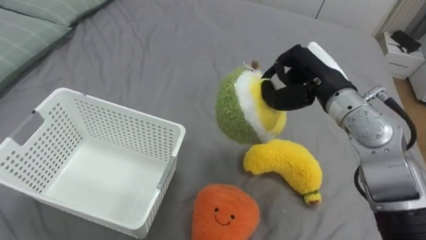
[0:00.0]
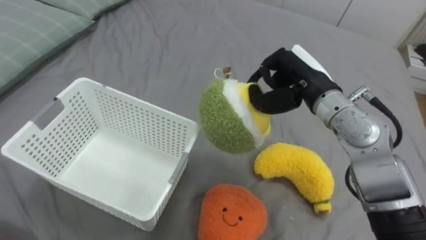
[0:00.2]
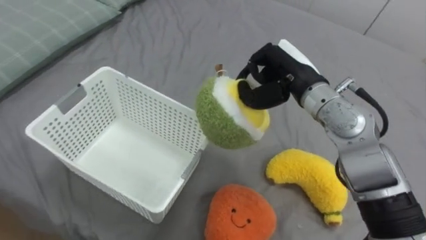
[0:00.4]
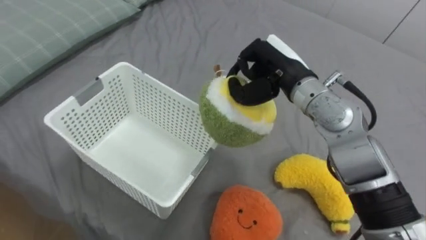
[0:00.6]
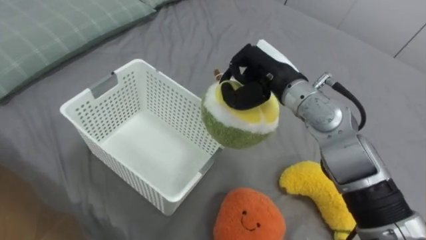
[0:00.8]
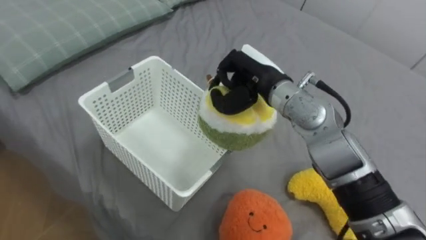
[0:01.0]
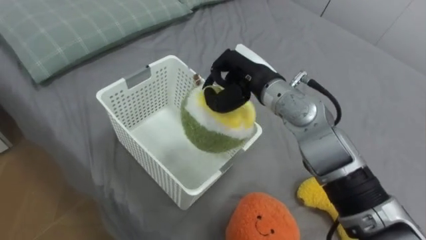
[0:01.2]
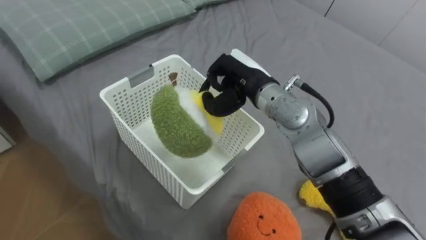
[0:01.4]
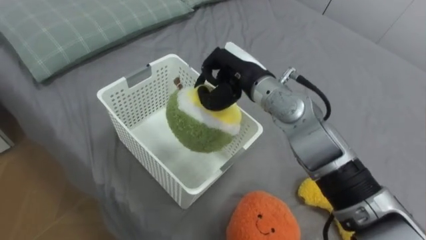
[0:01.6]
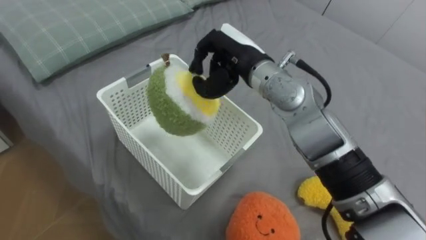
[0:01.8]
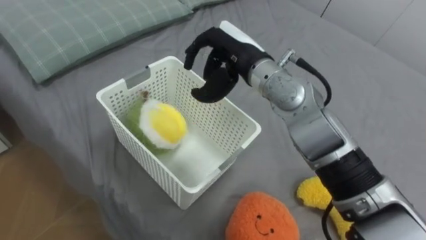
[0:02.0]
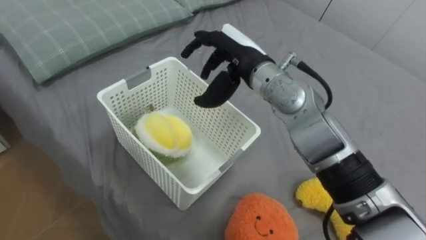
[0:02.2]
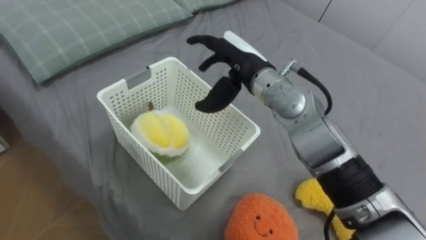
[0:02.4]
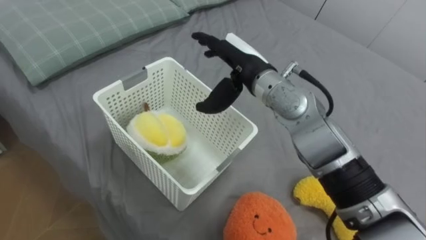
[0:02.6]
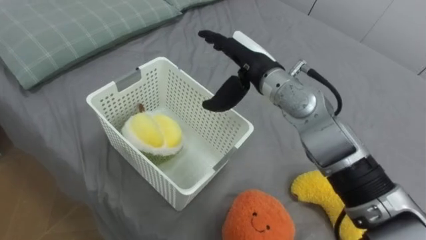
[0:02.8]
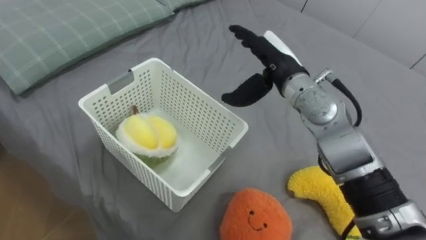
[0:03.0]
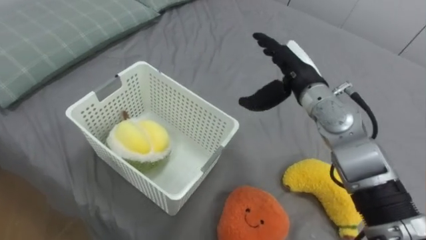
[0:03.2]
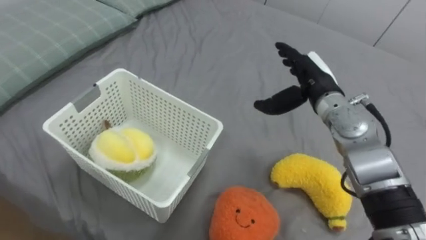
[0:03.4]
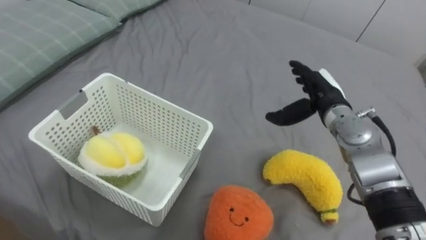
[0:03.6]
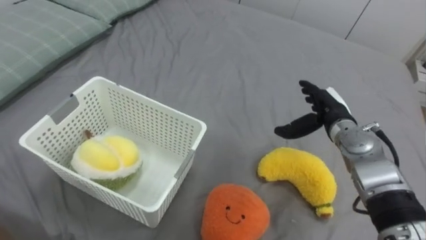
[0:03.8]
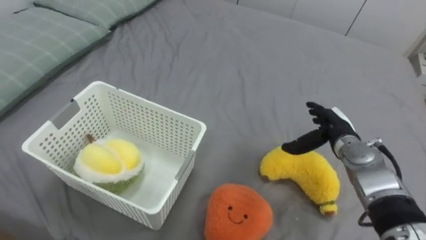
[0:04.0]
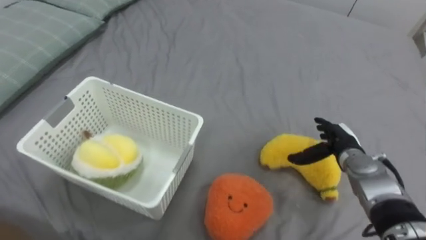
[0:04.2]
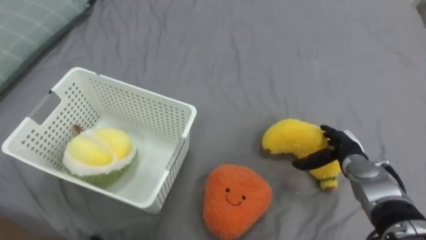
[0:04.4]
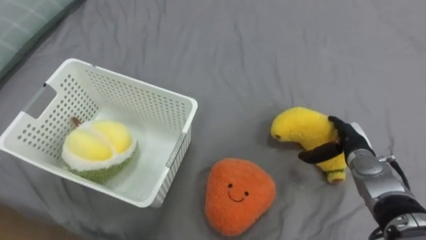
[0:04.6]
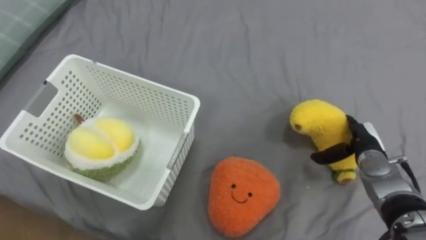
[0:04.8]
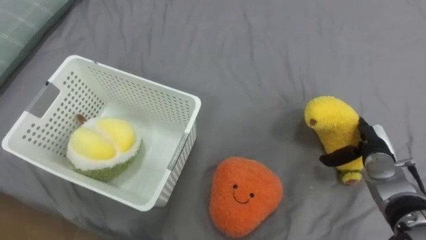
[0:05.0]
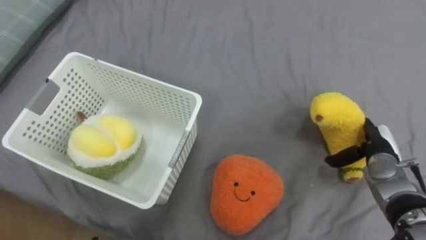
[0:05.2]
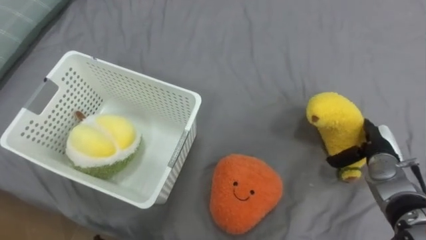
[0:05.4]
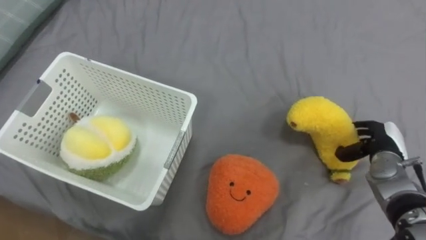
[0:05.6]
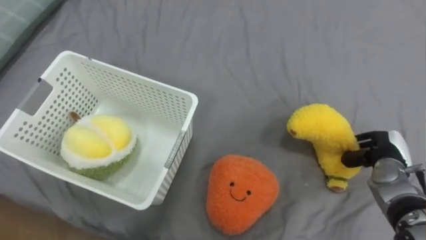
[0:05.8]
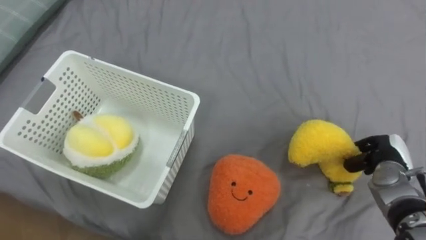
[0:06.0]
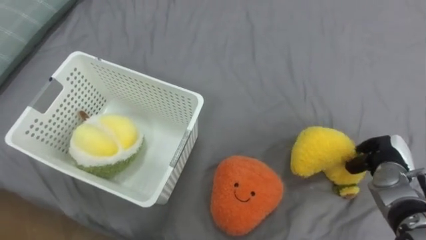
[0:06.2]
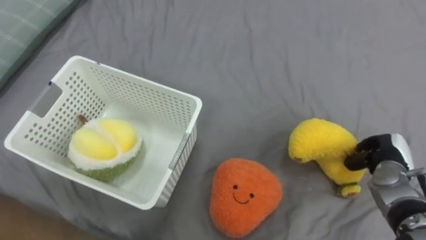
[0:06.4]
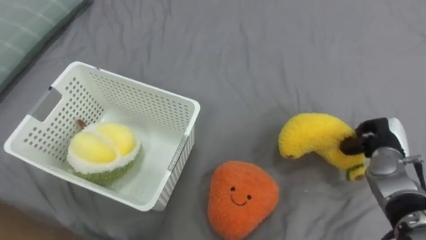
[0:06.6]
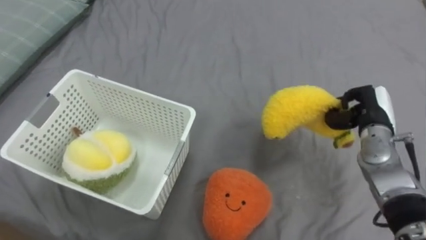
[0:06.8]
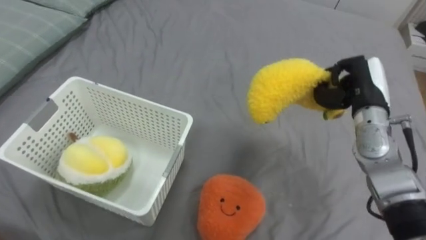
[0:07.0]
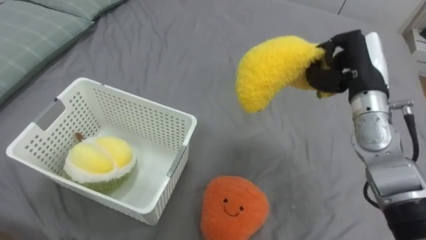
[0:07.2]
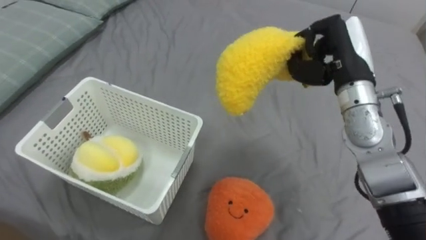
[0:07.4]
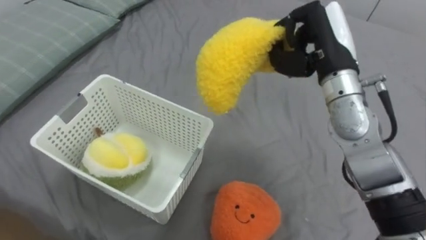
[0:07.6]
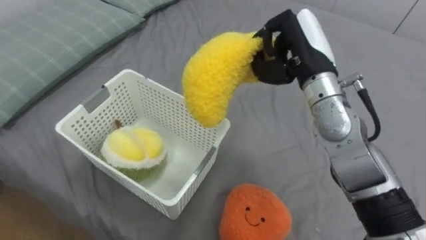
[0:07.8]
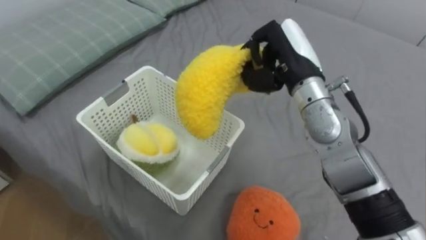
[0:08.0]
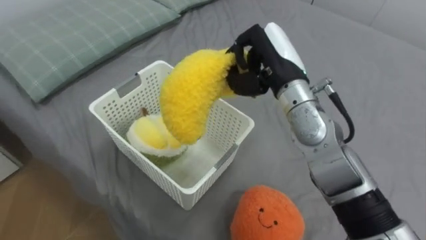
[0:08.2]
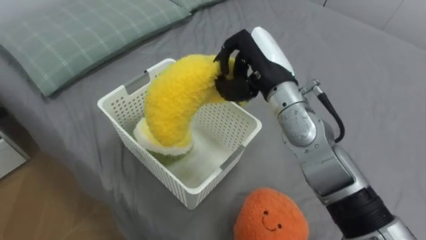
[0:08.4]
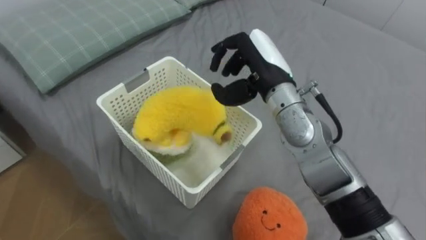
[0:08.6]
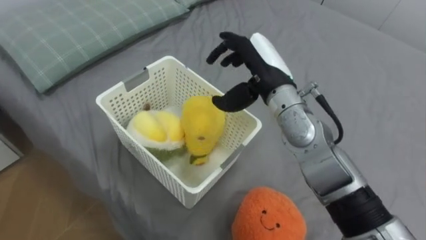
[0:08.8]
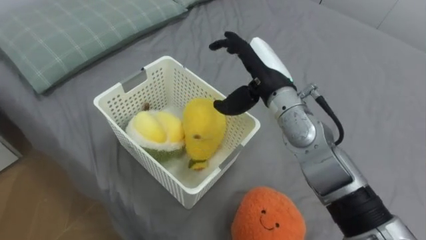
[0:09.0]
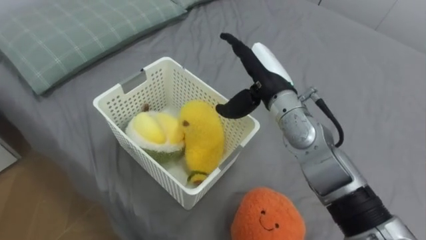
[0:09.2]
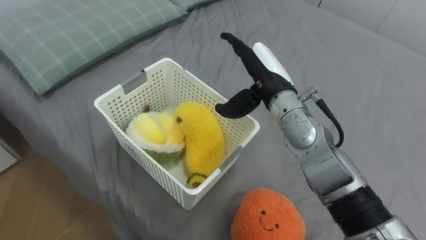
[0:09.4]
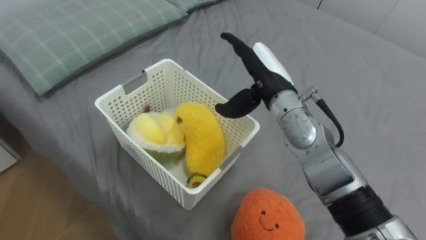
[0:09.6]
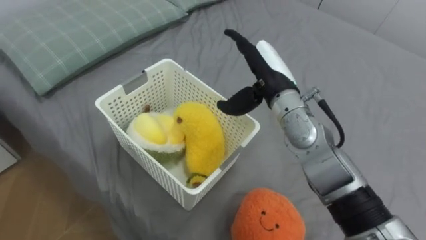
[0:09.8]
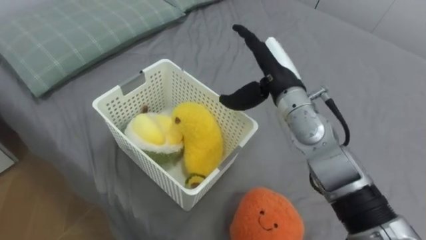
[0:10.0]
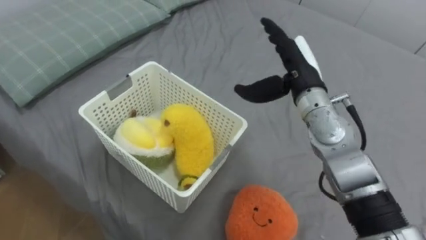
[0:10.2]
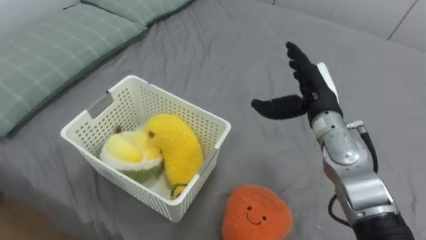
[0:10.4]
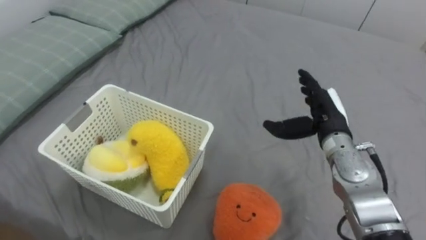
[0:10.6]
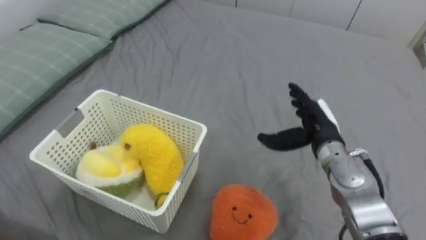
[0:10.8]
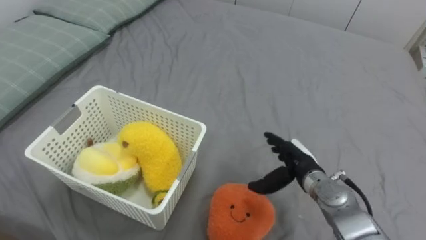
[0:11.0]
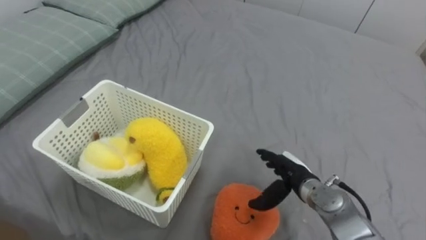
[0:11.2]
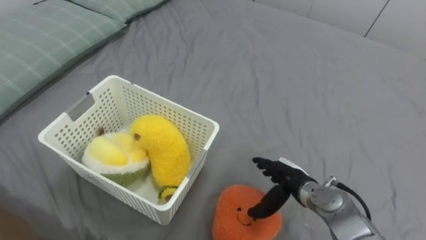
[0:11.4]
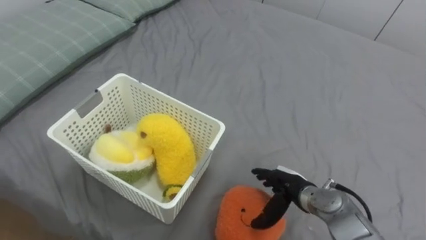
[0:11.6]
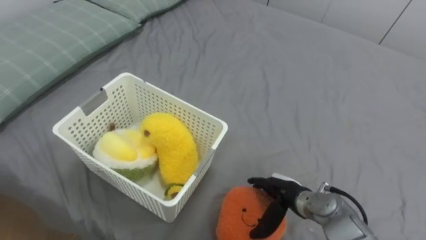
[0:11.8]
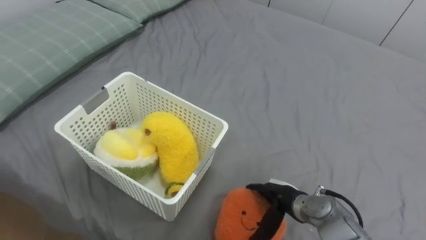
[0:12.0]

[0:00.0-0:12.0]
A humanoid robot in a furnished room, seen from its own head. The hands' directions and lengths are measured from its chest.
Task of the whole recording: Put the toys on the bed into the basket on the left.
0:00.0 to 0:01.6: The right hand travels to the left by some 15 cm.
0:01.6 to 0:03.0: The right hand shifts roughly 5 cm to the right, and opens its fingers.
0:03.0 to 0:04.4: The right hand goes some 25 cm downward and to the right.
0:04.4 to 0:06.0: The right hand goes about 10 cm to the right, and closes its fingers.
0:06.0 to 0:07.6: The right hand heads upward and to the left, covering about 30 cm.
0:07.6 to 0:09.0: The right hand moves to the left, approximately 10 cm, and opens.
0:09.0 to 0:10.4: The right hand is displaced to the right and downward by approximately 10 cm.
0:10.4 to 0:12.0: The right hand moves downward and backward, some 25 cm.

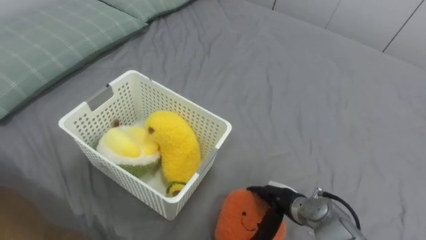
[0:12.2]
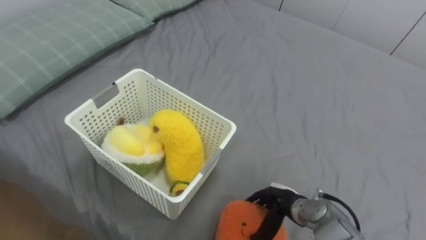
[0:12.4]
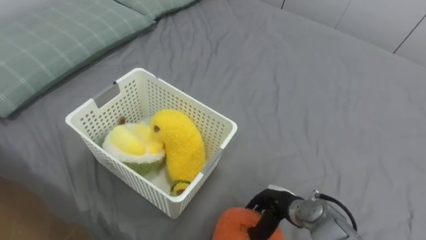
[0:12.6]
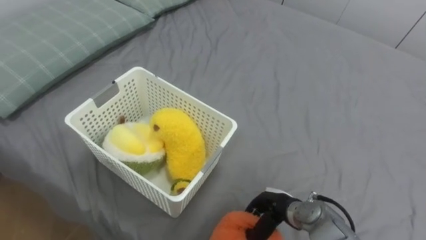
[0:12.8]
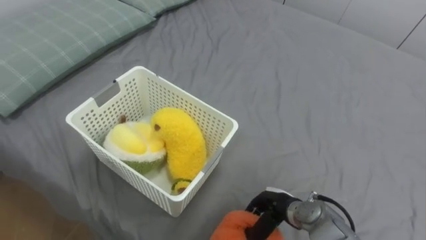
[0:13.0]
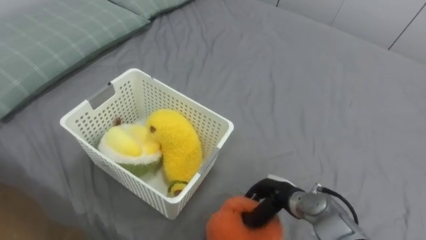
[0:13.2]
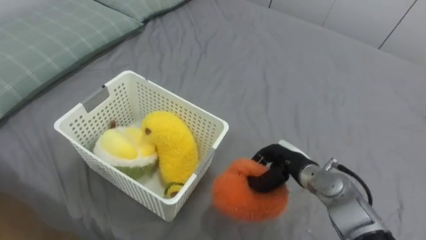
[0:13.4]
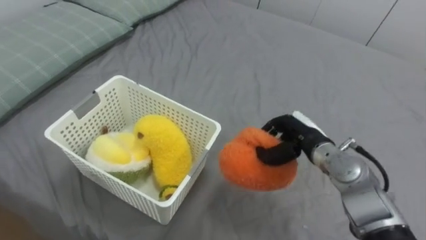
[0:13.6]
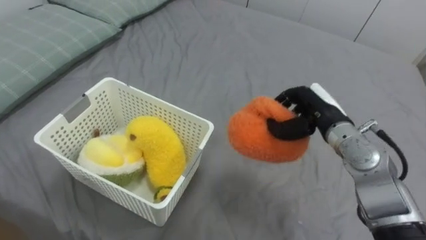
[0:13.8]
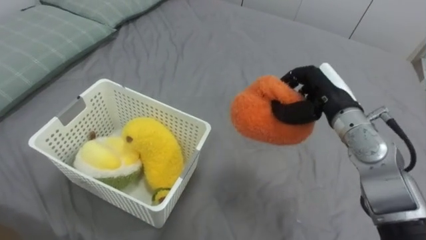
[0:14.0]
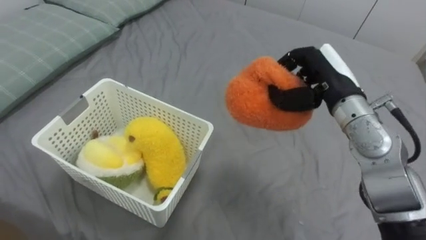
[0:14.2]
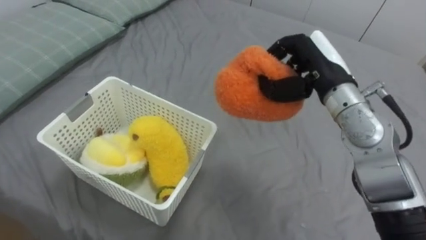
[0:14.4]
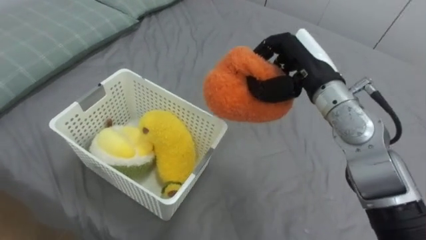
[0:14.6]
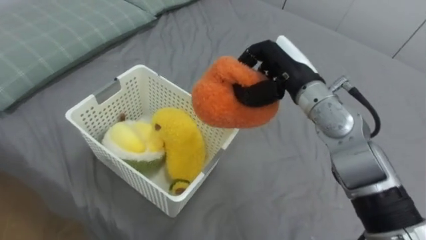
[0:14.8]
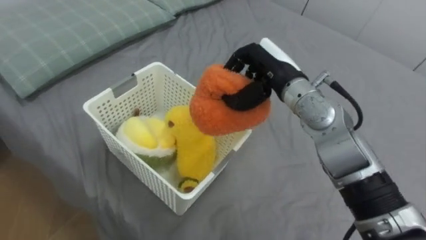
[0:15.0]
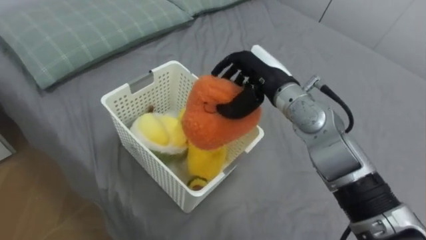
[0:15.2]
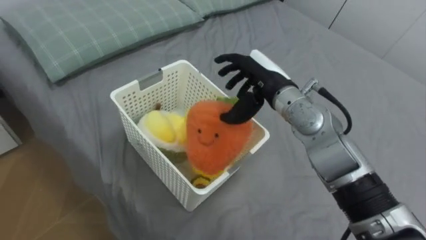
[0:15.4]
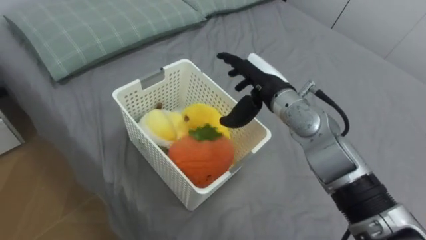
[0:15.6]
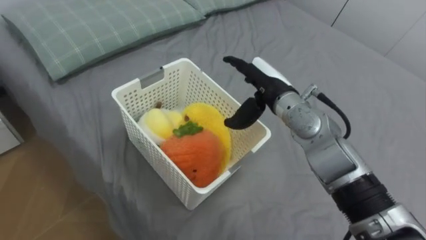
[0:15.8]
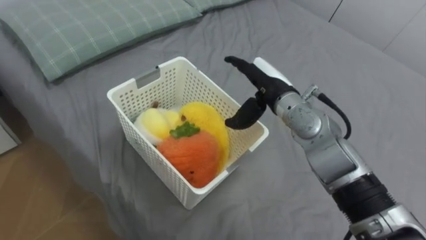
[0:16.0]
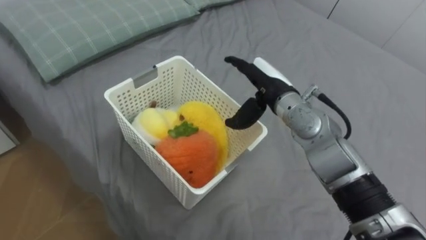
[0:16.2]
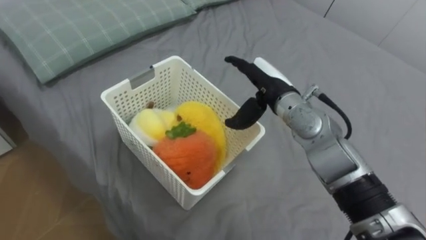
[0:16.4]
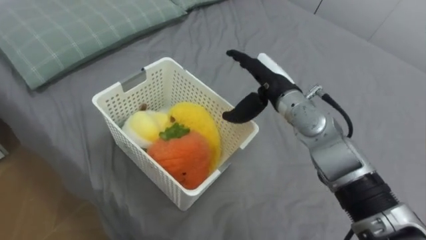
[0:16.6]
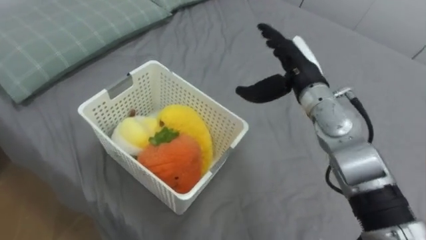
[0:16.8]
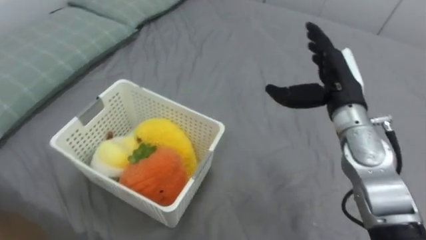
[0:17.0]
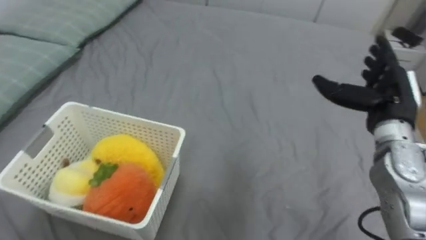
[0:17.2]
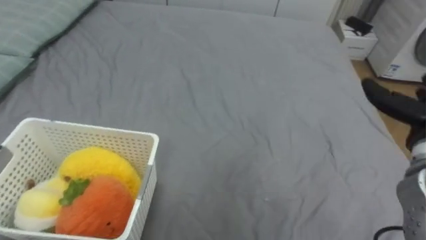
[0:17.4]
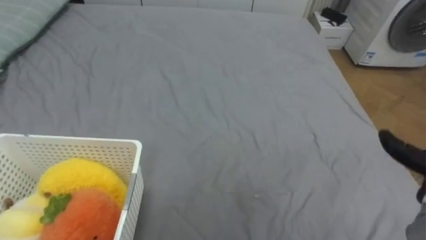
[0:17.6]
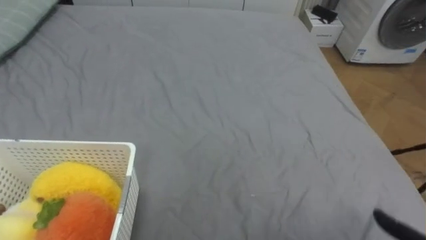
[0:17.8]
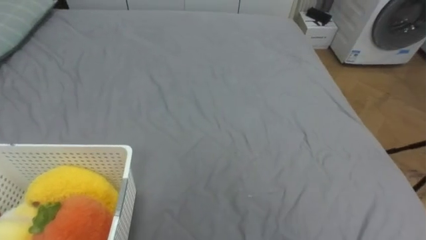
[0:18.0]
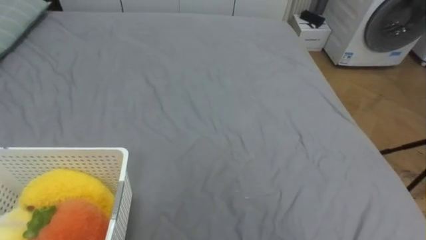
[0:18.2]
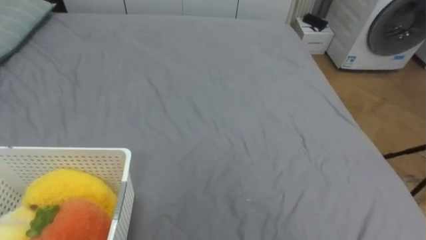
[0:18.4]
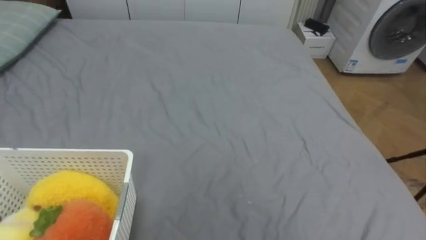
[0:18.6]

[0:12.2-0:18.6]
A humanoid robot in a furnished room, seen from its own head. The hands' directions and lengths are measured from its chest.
Task of the whole recording: Put the toys on the bed into the basket on the left.
0:12.2 to 0:13.8: The right hand heads upward and forward, covering roughly 20 cm, and closes.
0:13.8 to 0:15.4: The right hand goes roughly 10 cm to the left and upward, and opens its fingers.
0:15.4 to 0:17.0: The right hand heads to the right, covering some 10 cm.
